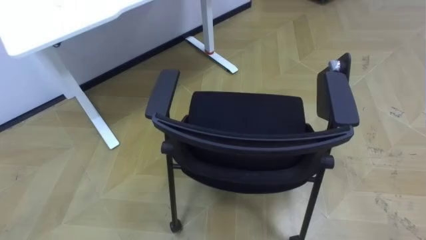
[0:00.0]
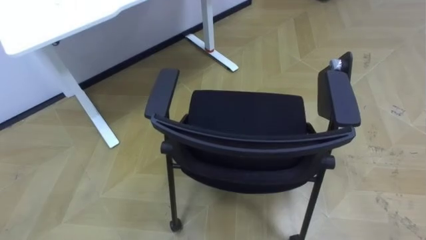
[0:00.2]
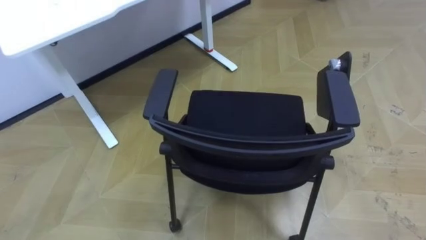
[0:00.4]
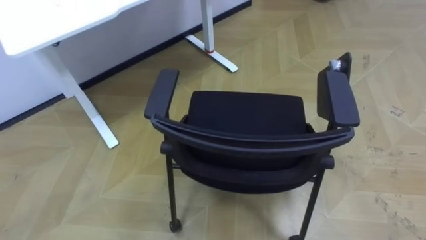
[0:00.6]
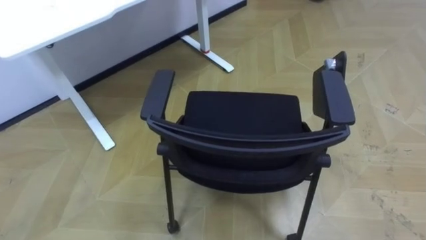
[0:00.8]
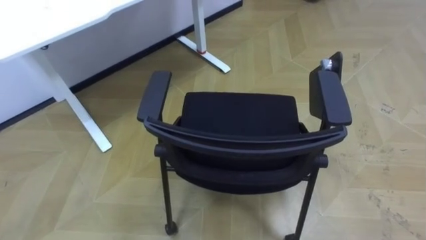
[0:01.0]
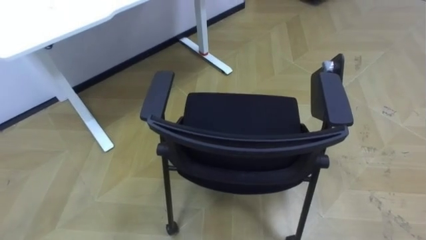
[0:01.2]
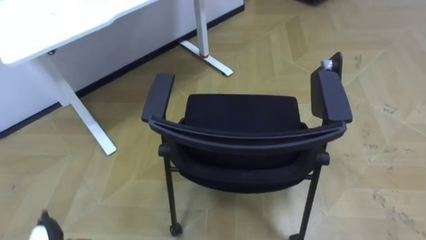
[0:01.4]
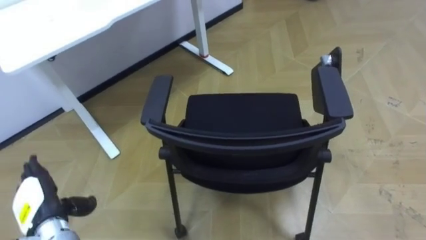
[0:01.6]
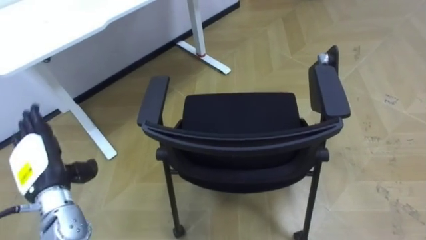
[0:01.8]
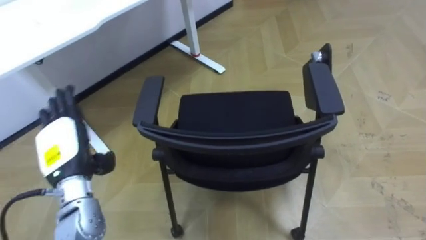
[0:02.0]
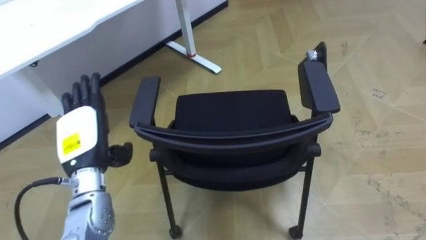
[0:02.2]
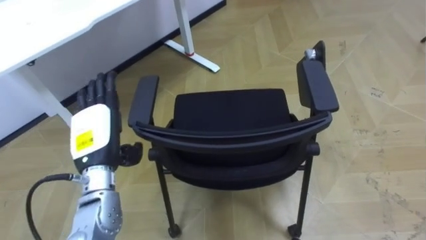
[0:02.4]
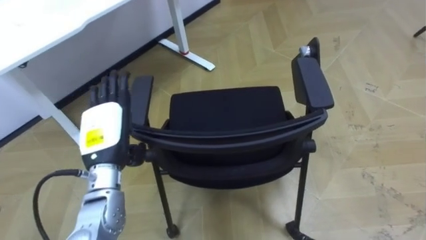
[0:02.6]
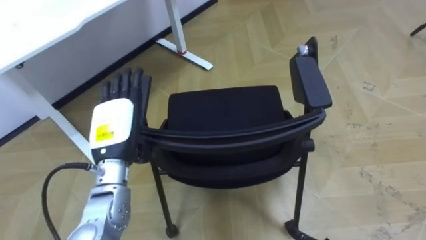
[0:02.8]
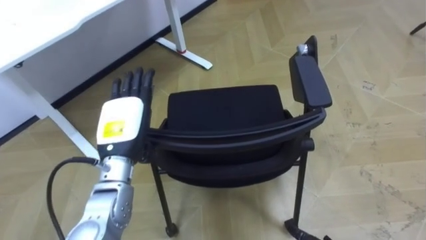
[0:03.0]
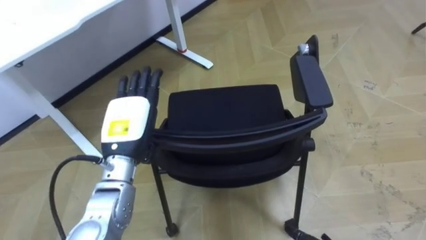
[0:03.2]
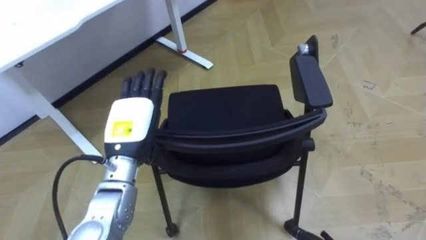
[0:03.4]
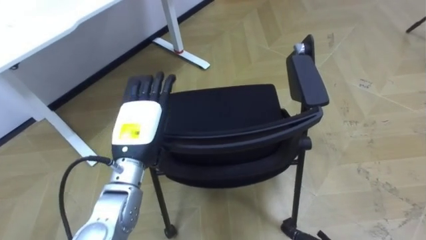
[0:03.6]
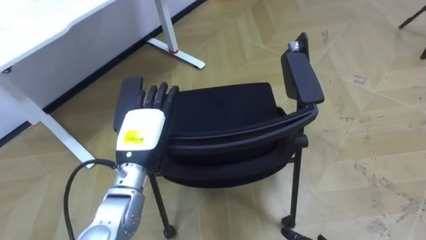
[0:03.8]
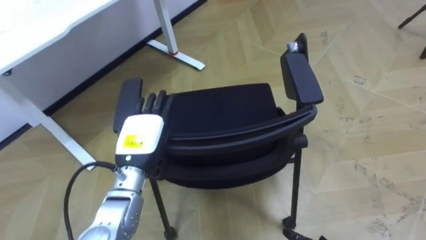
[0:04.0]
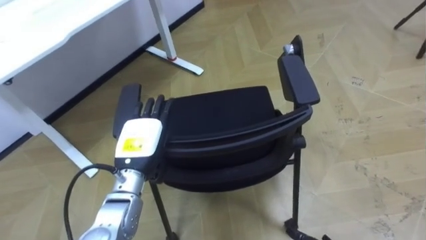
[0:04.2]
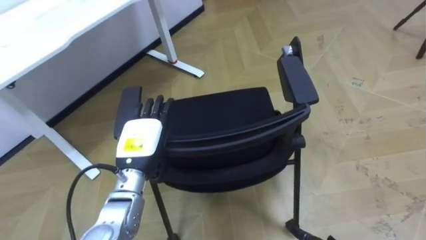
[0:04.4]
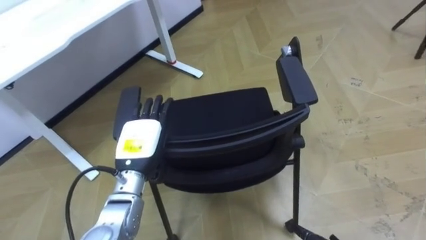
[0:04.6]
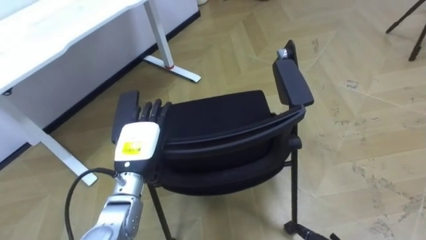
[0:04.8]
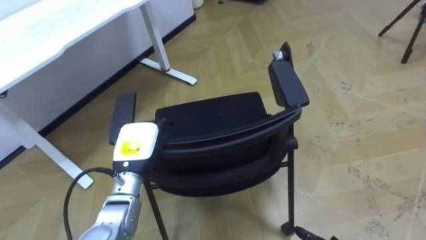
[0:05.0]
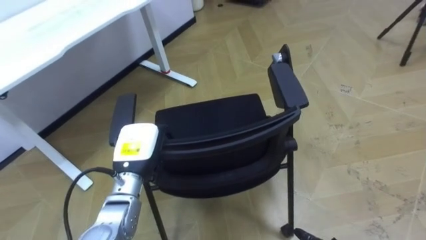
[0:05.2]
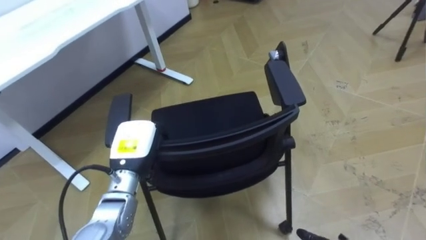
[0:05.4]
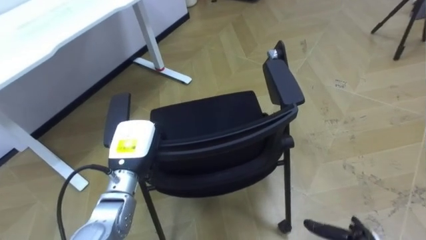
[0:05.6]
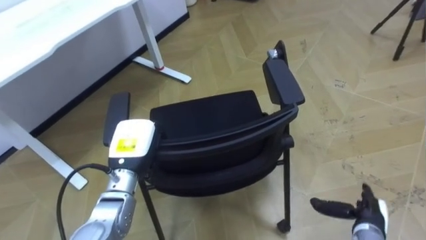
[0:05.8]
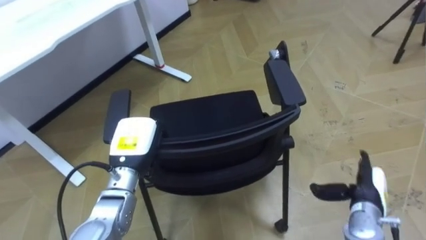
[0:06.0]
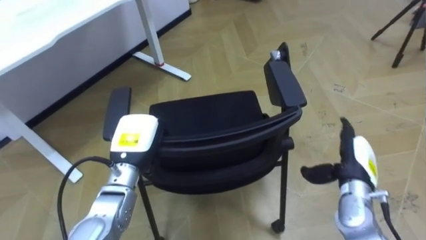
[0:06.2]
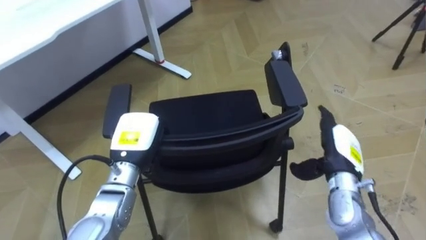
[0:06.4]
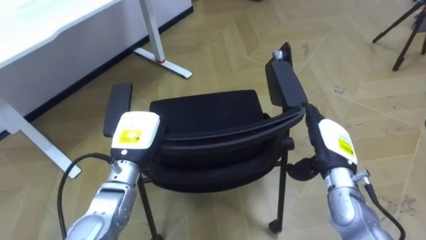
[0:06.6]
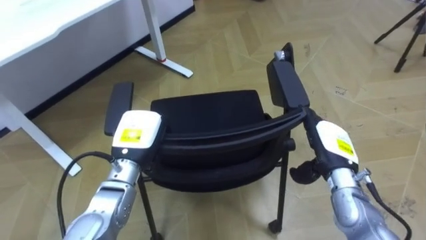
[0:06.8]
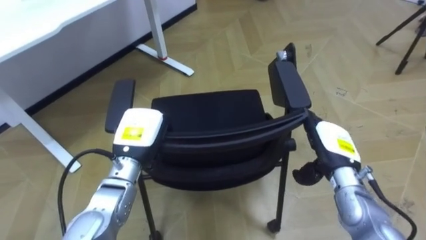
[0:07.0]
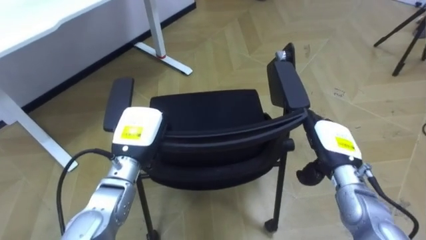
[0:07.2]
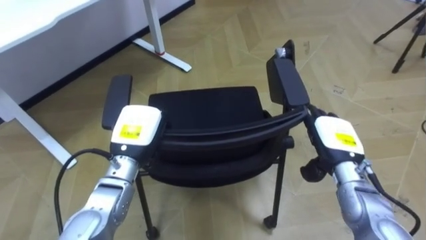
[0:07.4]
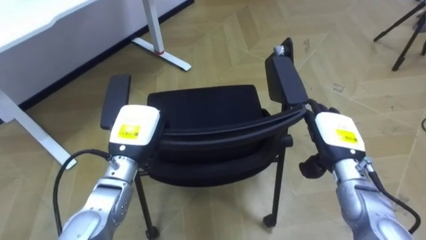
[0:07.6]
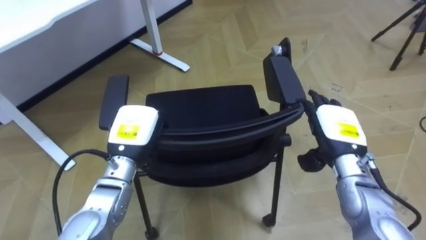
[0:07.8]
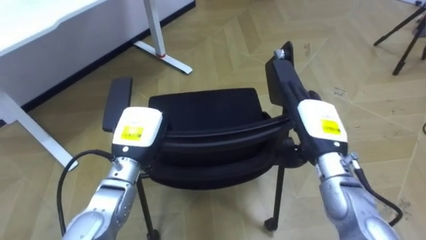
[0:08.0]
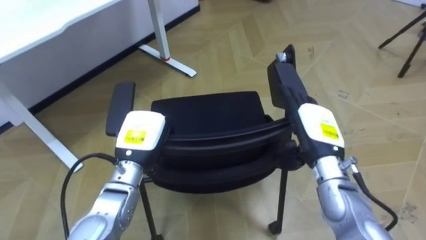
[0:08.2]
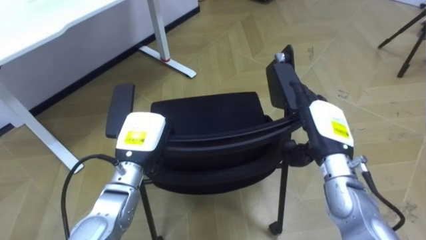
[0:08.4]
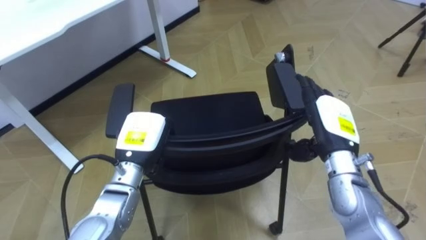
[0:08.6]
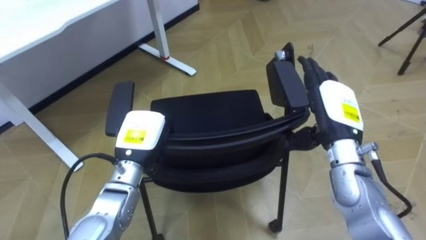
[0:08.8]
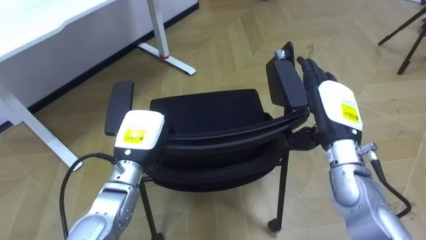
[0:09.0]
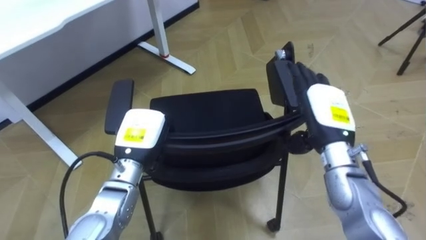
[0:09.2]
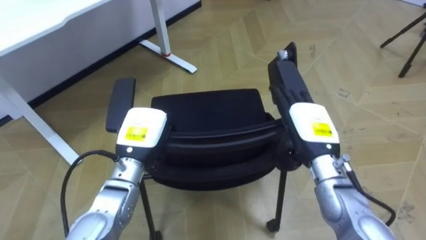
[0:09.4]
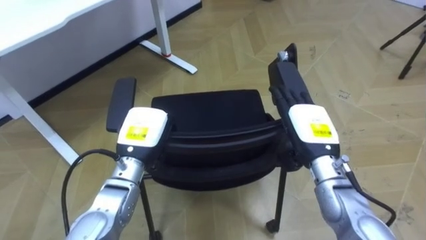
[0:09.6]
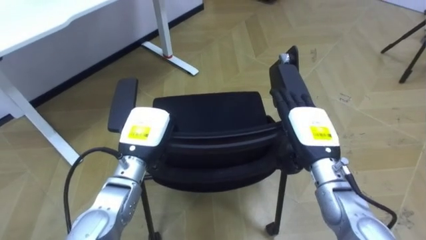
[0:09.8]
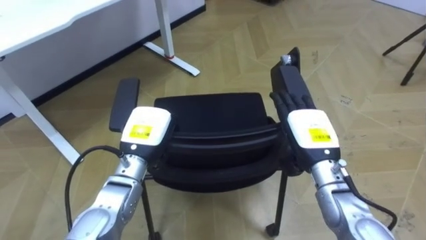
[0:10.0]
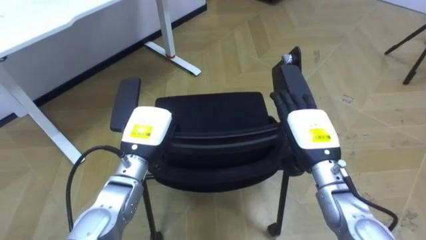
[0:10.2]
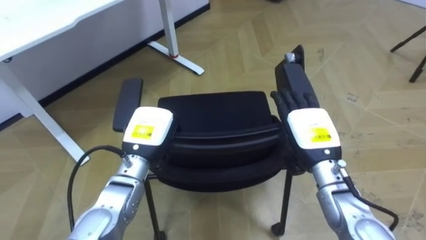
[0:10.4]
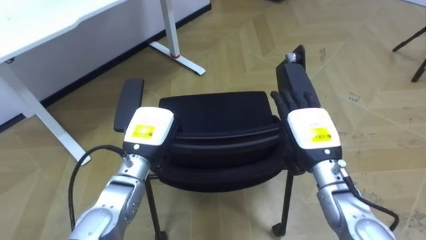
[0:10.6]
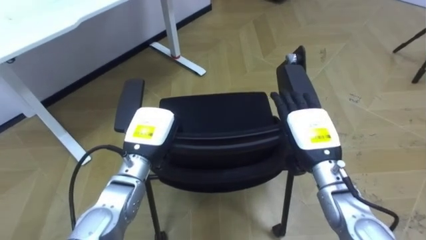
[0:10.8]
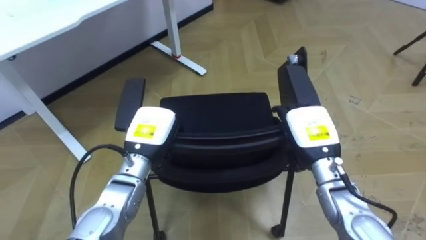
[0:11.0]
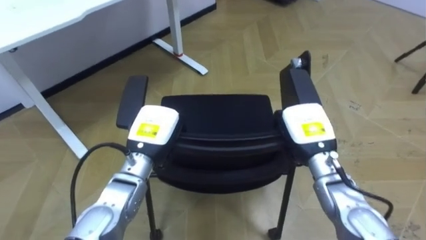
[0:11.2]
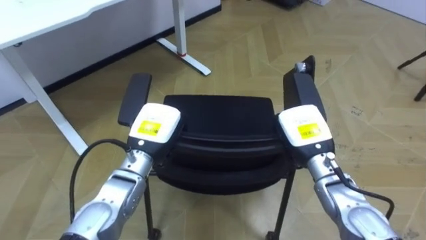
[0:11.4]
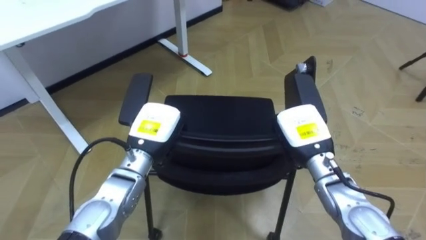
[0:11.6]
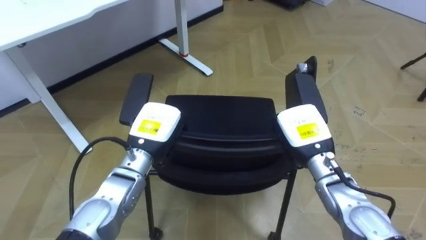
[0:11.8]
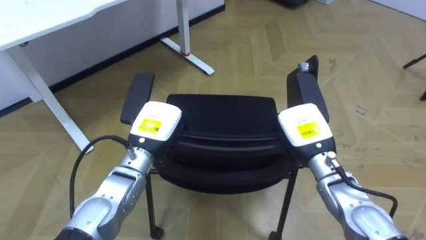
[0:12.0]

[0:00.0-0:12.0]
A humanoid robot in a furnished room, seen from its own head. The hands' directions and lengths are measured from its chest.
Task of the whole recording: Push the chair under the table.
0:01.6 to 0:03.0: The left hand goes roughly 20 cm to the right, upward and forward.
0:03.0 to 0:04.4: The left hand moves downward, some 5 cm.
0:04.4 to 0:06.0: The left hand closes.
0:06.0 to 0:07.6: The right hand is displaced upward, to the left and forward by about 15 cm.
0:07.6 to 0:09.0: The right hand travels upward by some 5 cm.
0:09.0 to 0:10.4: The right hand is displaced downward by some 5 cm.
0:10.4 to 0:12.0: The right hand closes up.

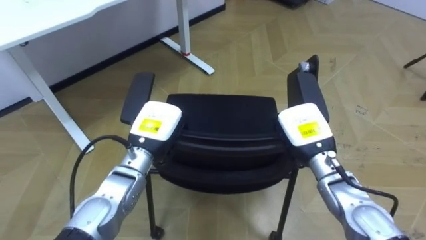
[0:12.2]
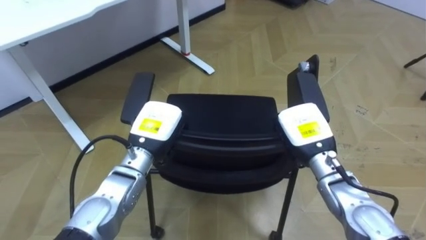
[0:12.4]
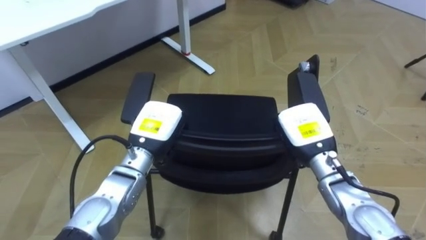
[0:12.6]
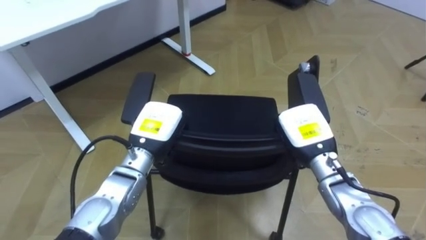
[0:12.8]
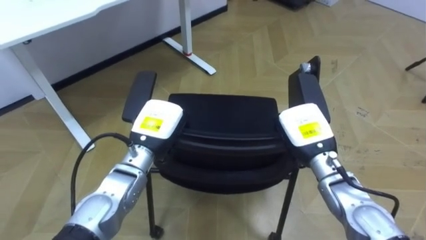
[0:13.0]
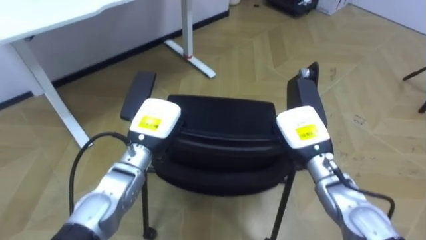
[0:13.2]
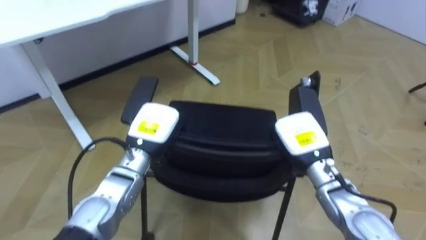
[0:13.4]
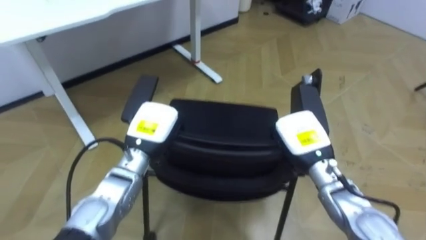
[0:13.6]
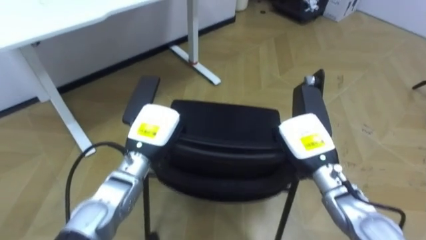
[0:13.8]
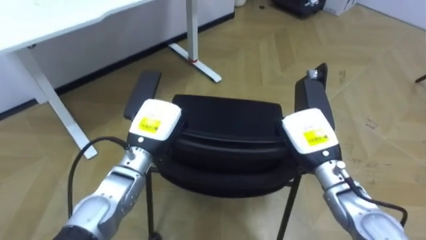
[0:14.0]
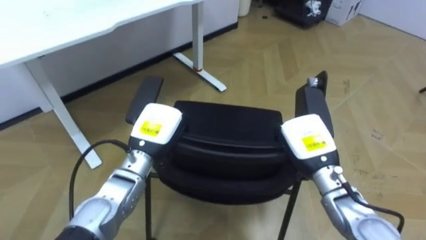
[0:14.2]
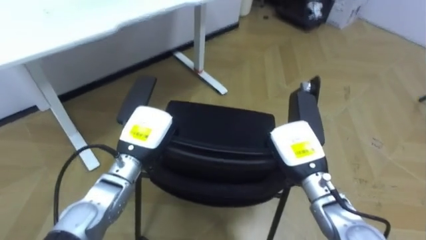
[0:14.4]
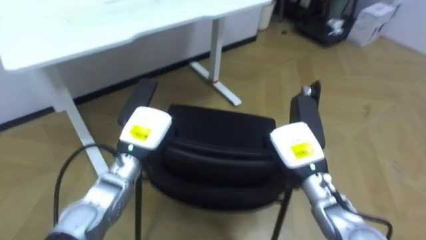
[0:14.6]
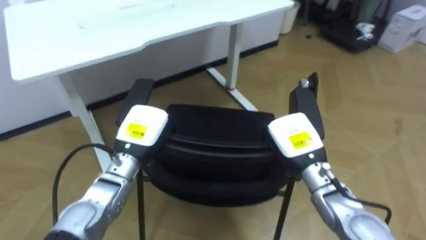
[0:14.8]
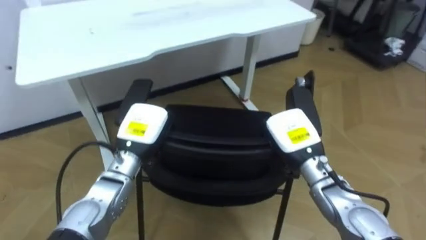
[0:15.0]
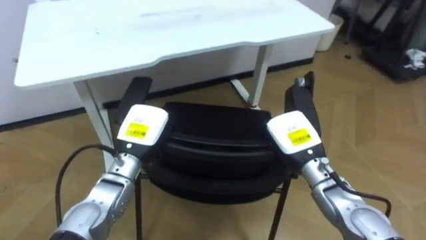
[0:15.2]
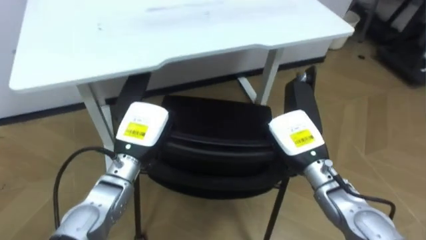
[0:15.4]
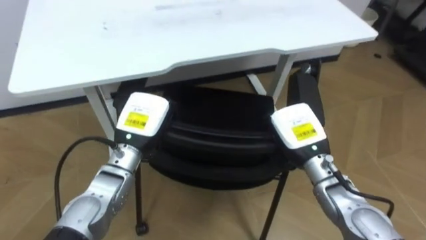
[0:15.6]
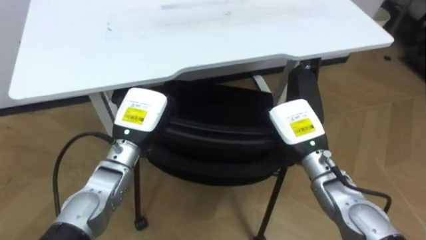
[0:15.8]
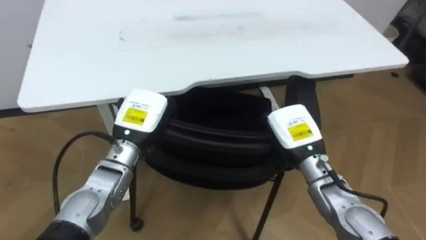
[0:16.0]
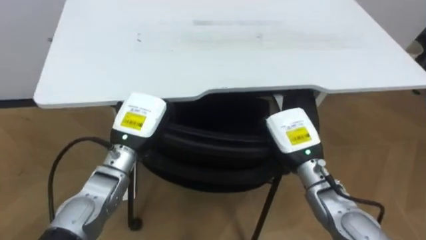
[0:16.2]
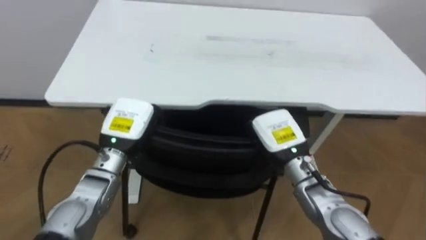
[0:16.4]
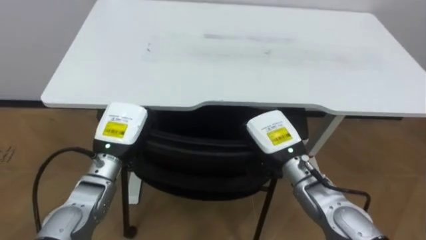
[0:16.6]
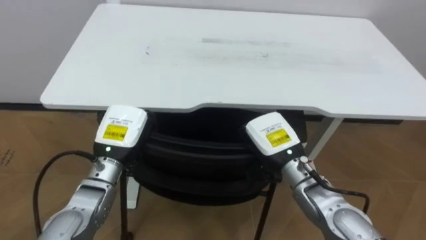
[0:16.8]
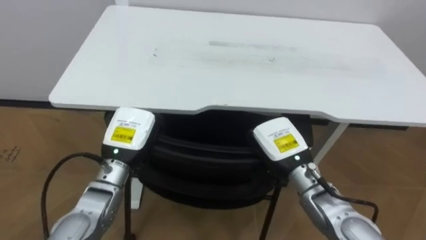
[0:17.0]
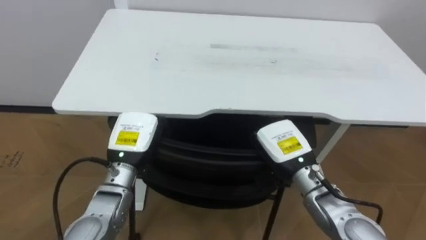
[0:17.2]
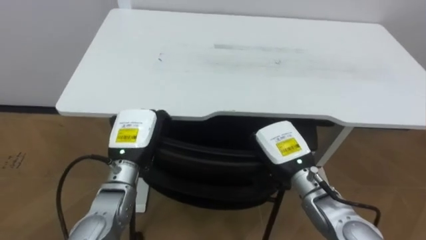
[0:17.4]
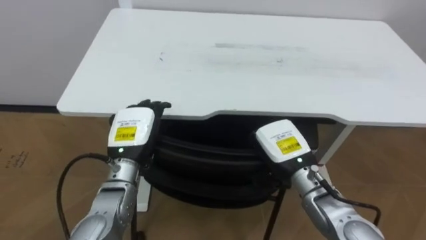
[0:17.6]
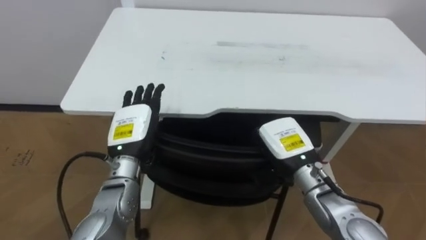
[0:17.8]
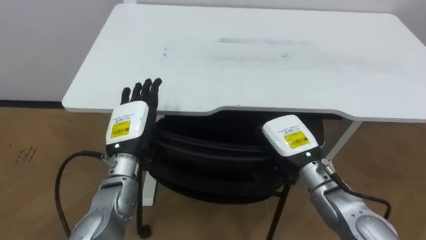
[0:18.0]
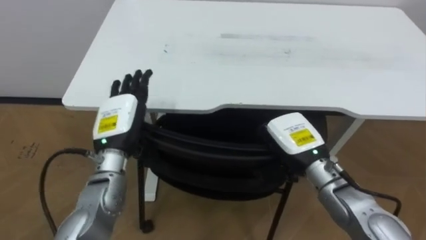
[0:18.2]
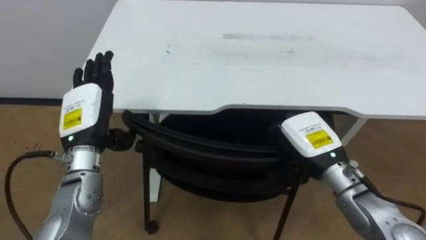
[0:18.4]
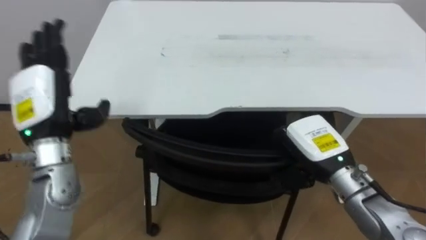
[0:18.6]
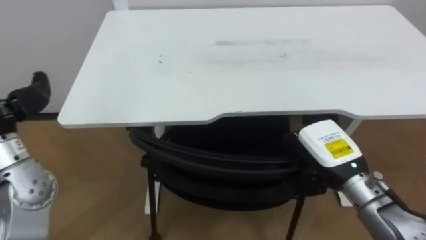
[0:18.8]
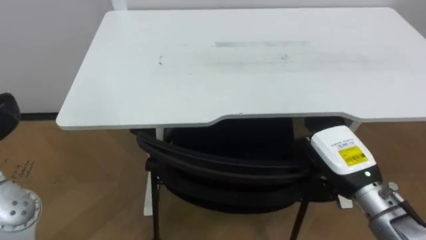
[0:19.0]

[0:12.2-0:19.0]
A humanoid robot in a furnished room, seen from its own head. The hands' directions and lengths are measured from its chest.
Task of the whole recording: Push the chair under the table.
0:16.2 to 0:17.6: The left hand opens its fingers.
0:17.6 to 0:19.0: The right hand goes approximately 10 cm to the right.
